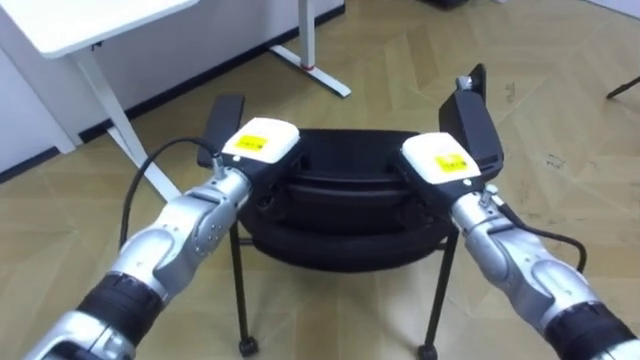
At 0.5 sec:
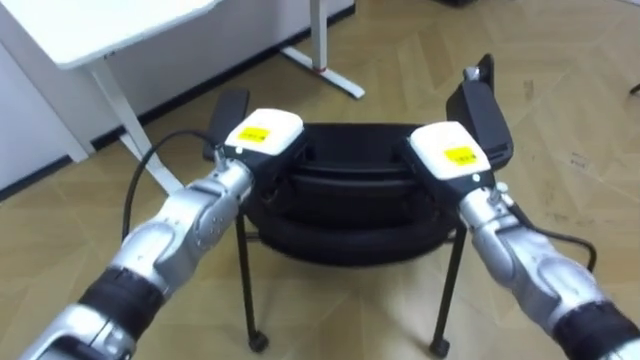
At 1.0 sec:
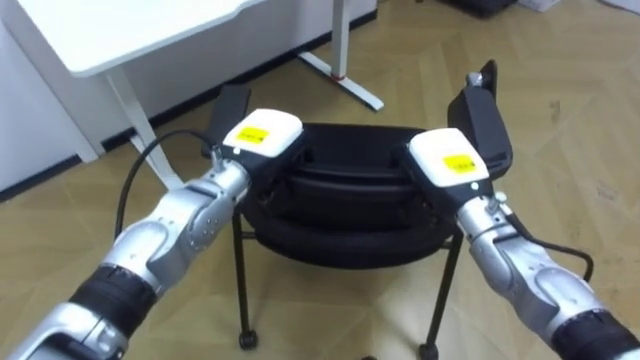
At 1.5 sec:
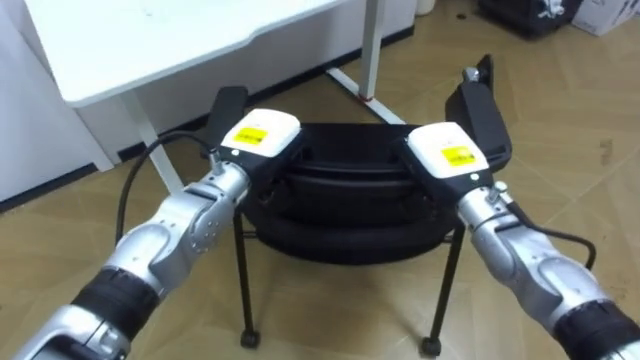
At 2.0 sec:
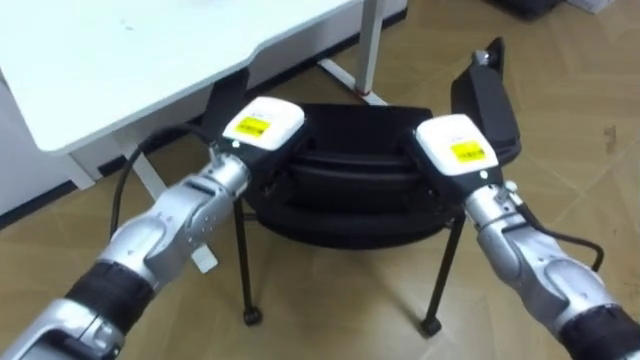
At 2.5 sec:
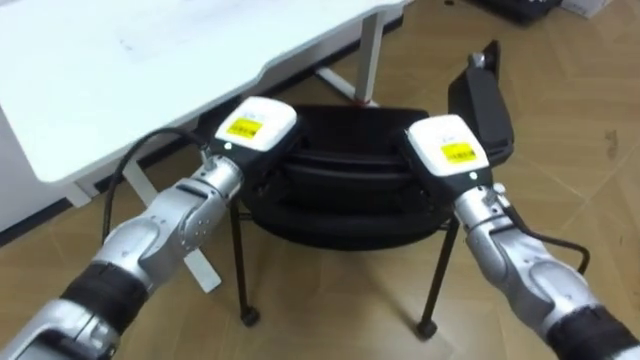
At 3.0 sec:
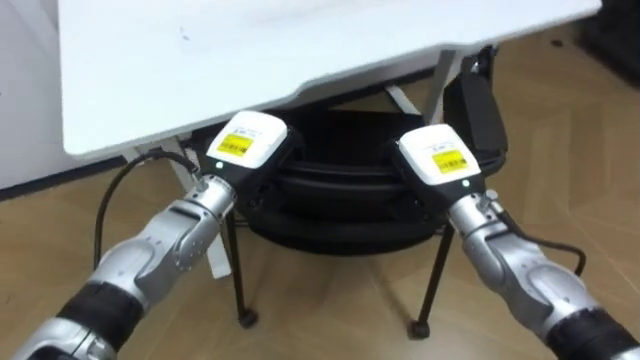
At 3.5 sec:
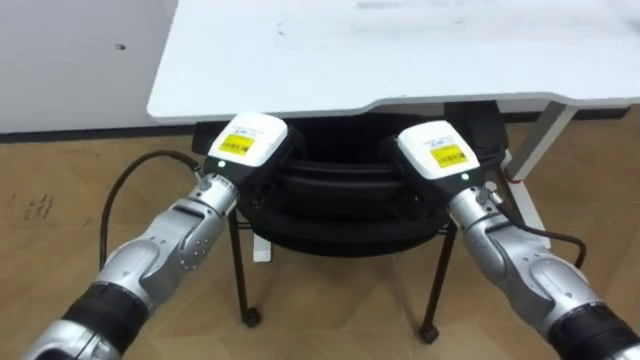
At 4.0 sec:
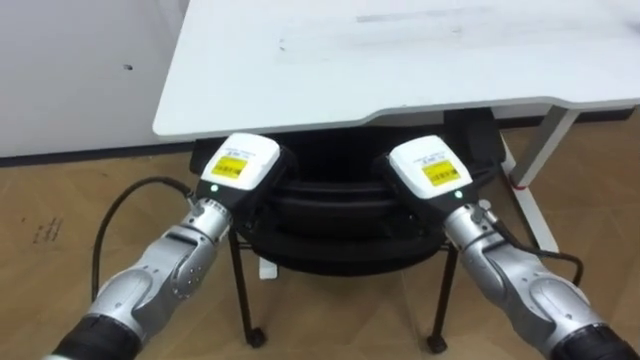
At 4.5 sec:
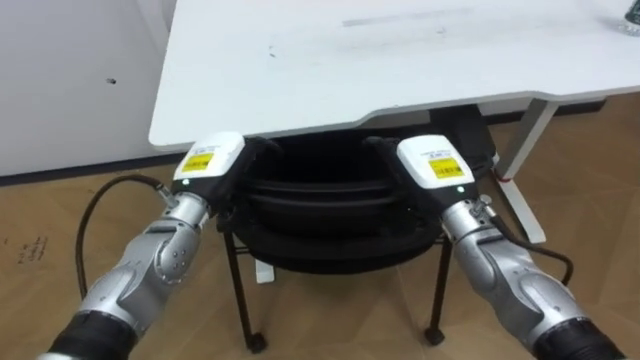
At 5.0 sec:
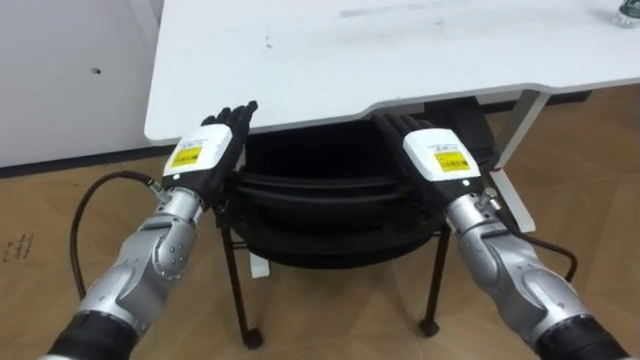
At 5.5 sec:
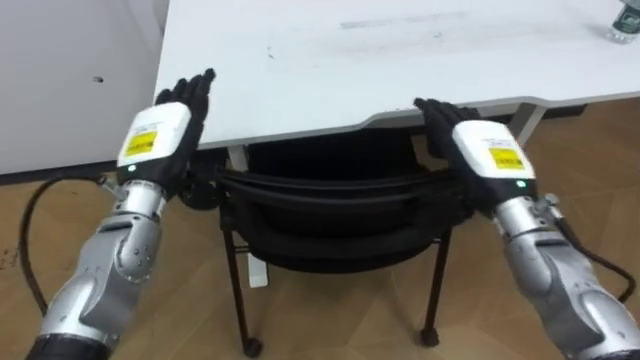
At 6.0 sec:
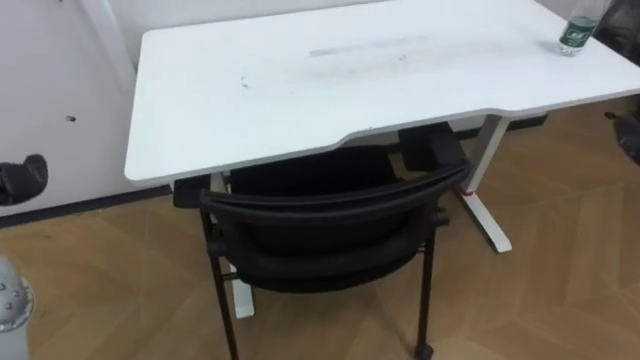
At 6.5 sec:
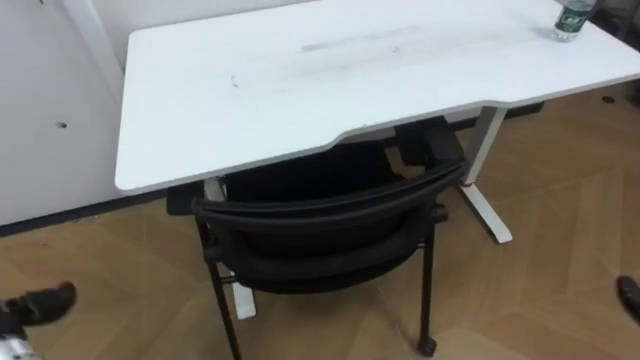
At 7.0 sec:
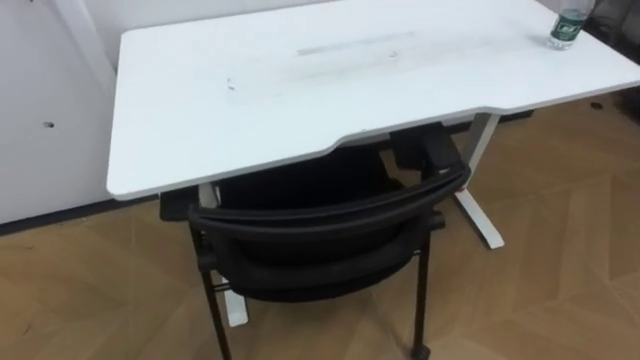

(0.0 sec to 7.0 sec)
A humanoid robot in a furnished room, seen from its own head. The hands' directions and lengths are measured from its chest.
Task of the whole recording: Push the chair under the table.
2.0 sec - 3.5 sec: The robot turns to its left by some 35 degrees.
3.5 sec - 5.0 sec: The right hand opens up, while the left hand is displaced to the left by approximately 5 cm, and opens.

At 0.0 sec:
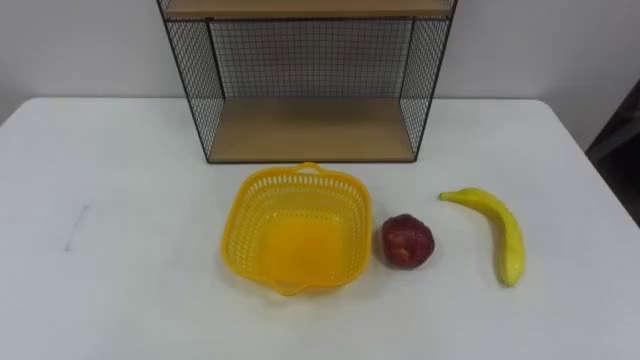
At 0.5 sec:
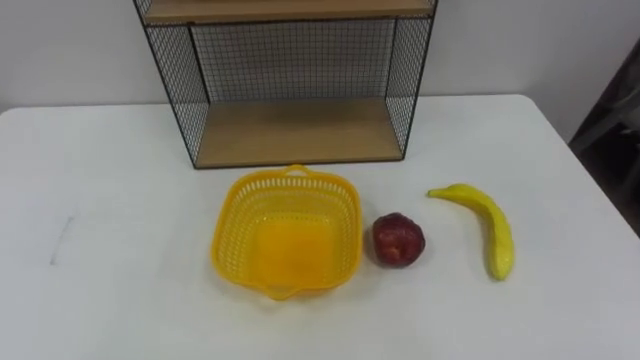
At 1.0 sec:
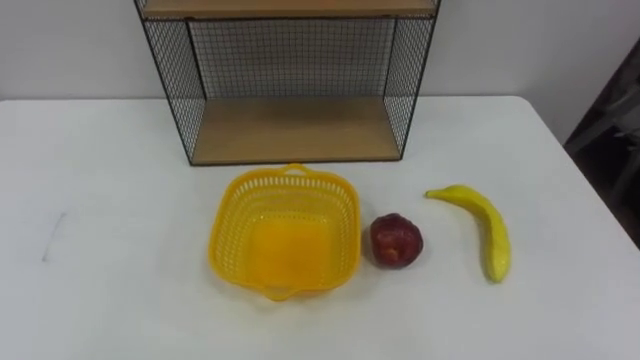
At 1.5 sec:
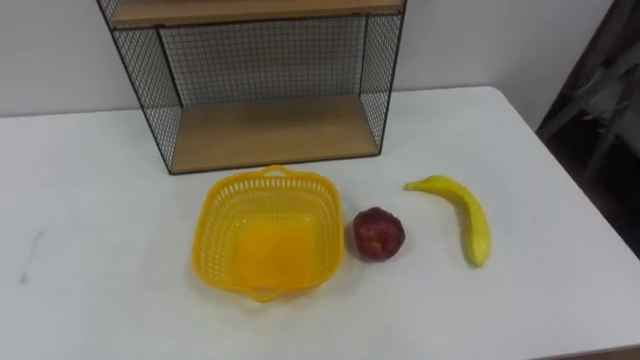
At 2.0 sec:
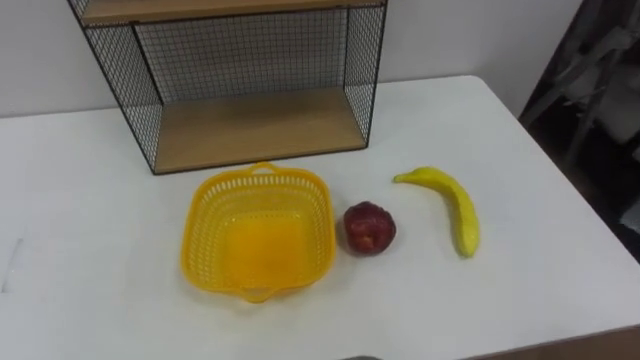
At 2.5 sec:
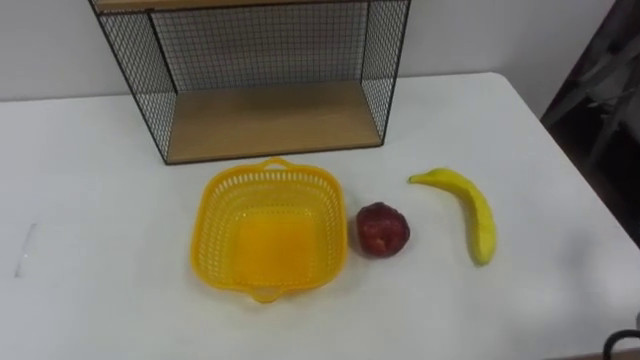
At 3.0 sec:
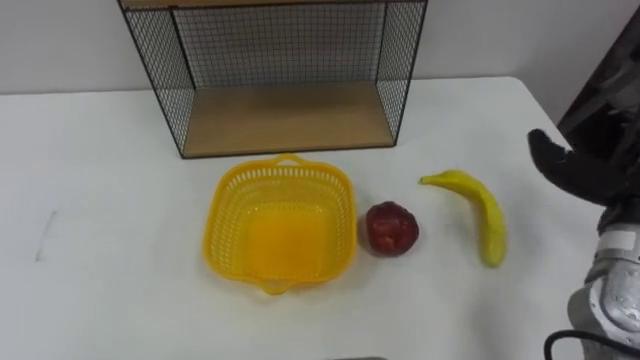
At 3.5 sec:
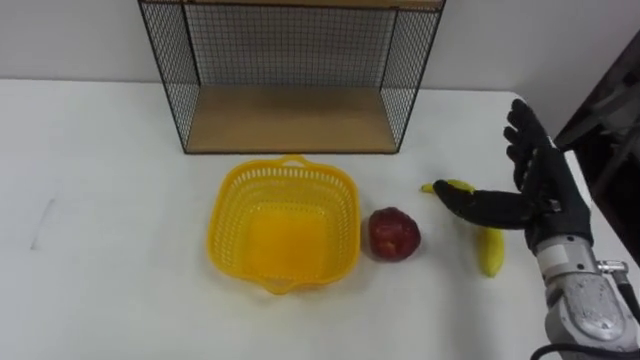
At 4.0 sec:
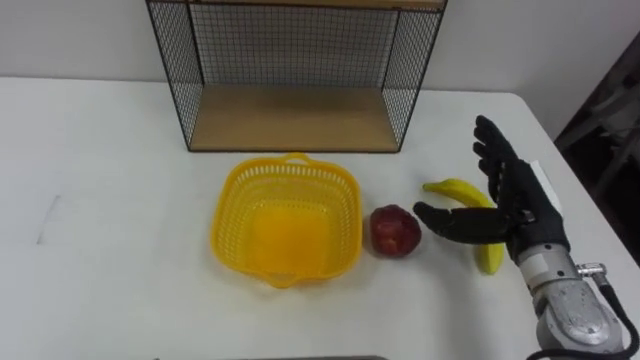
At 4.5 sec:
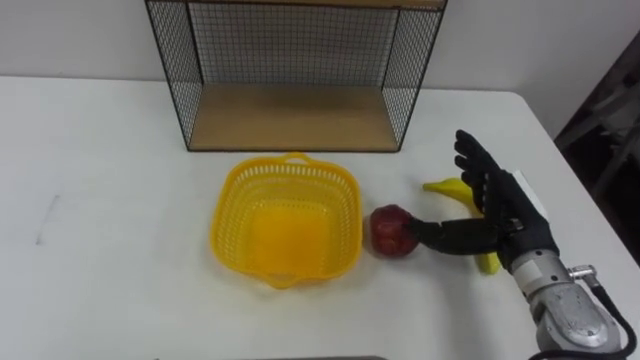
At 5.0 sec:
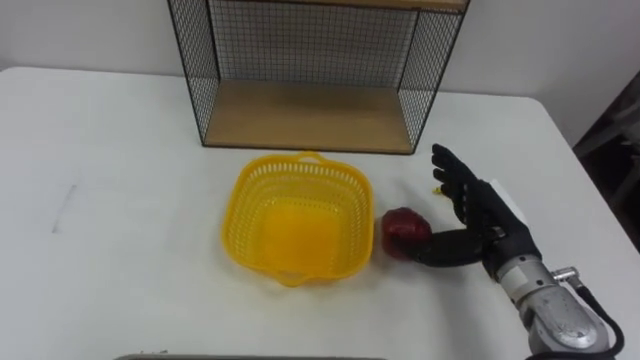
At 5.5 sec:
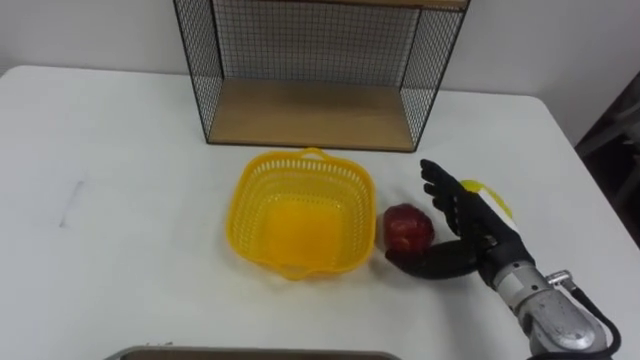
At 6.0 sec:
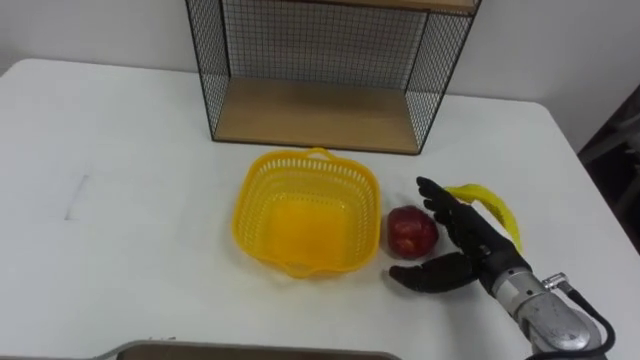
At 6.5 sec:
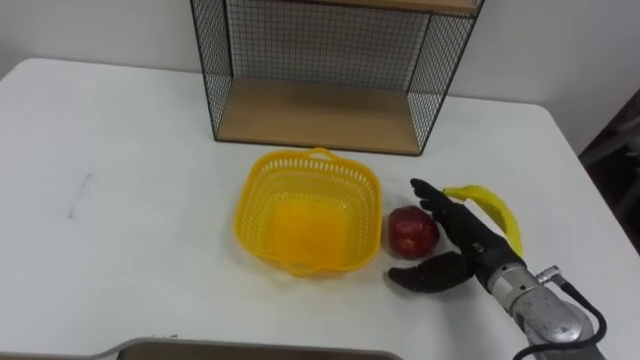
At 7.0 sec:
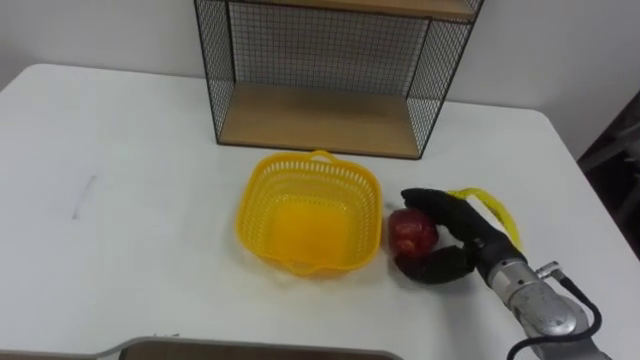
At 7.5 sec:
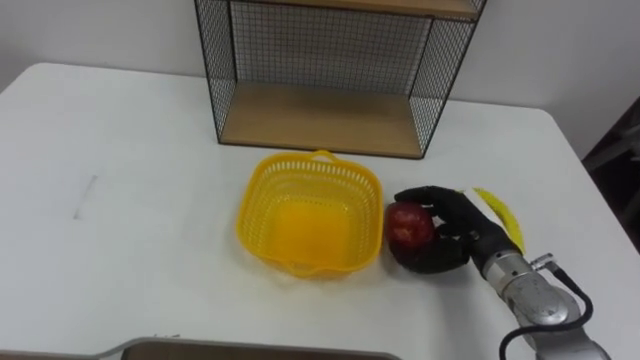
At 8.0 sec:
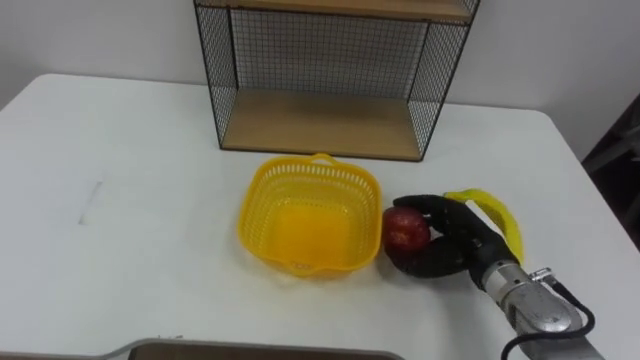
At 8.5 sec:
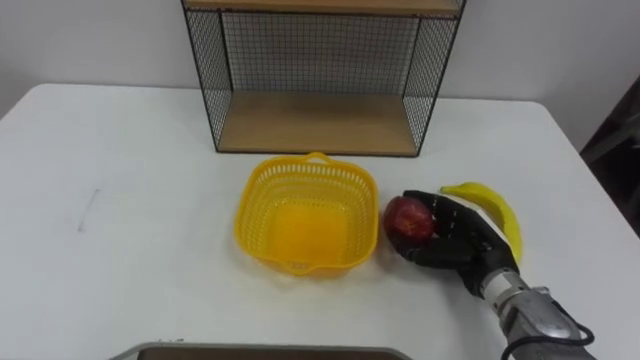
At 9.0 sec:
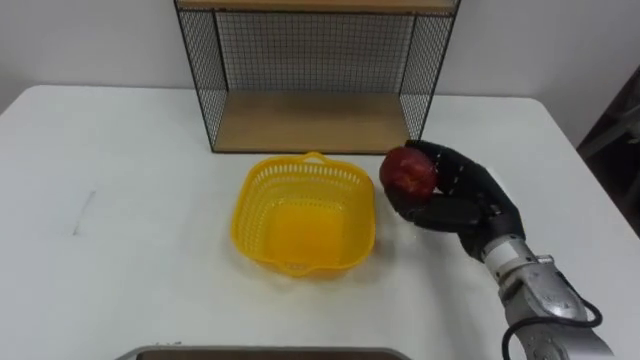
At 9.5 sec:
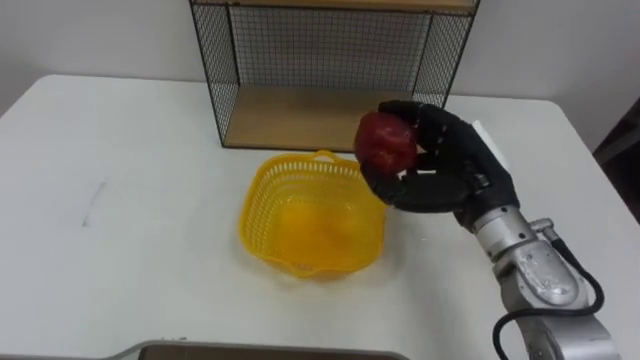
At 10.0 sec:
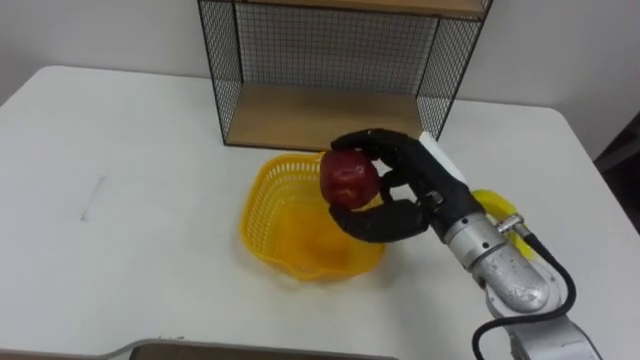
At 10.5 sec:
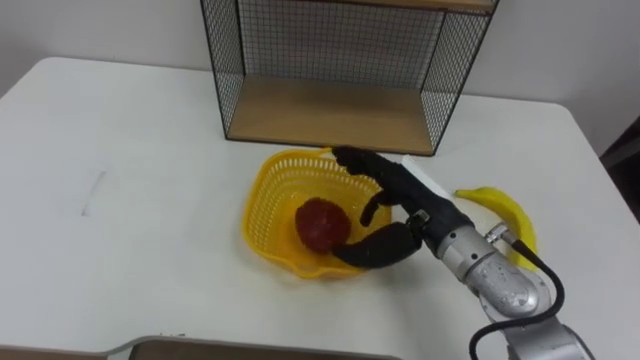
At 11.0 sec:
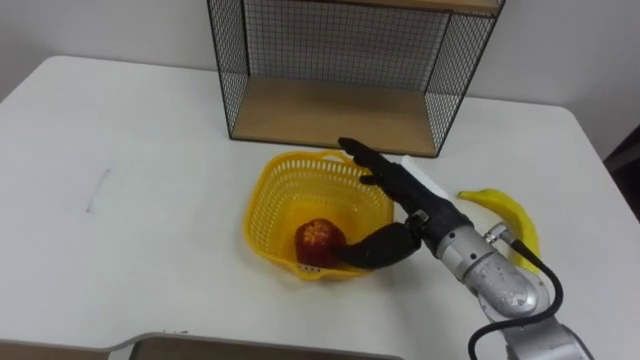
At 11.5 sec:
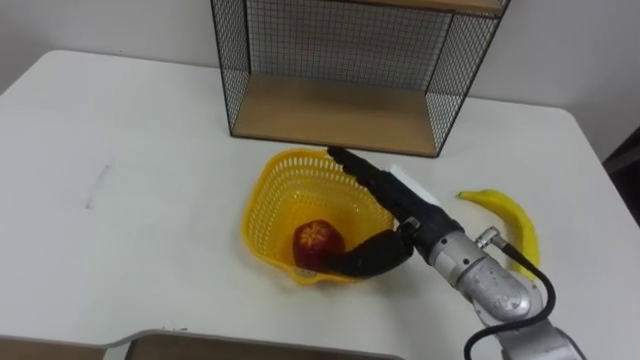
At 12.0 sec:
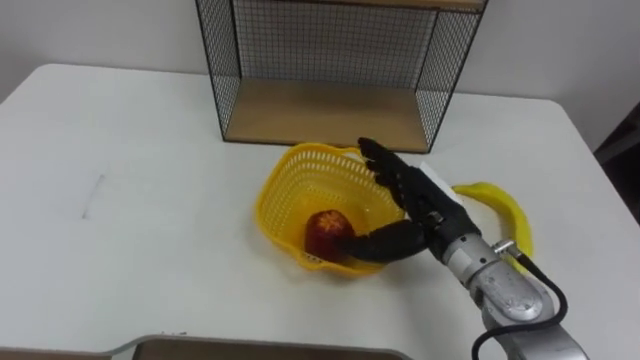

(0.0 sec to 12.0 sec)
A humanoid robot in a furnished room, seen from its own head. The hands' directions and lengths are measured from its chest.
Task of the whole recording: Put the fruit on the table into the basket, then place the basket on the shelf.
4.0 sec - 6.0 sec: The right hand is displaced downward by approximately 5 cm.
6.0 sec - 8.0 sec: The right hand closes.
8.0 sec - 10.0 sec: The right hand travels upward and to the left by about 15 cm.
10.0 sec - 12.0 sec: The right hand opens.

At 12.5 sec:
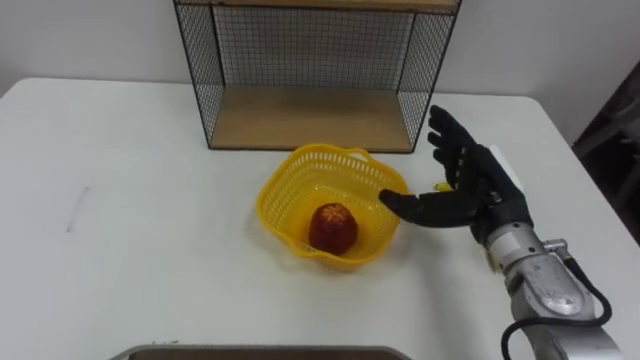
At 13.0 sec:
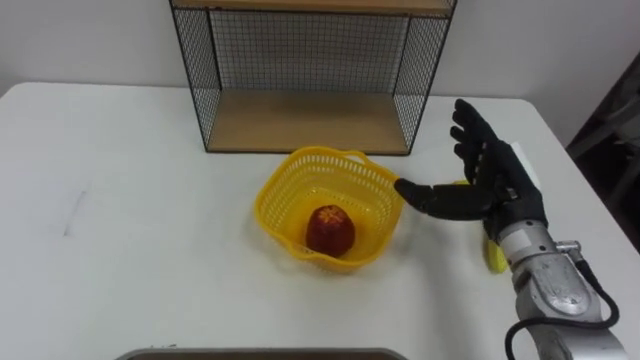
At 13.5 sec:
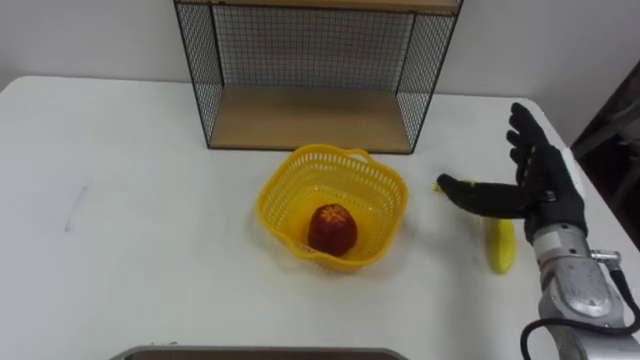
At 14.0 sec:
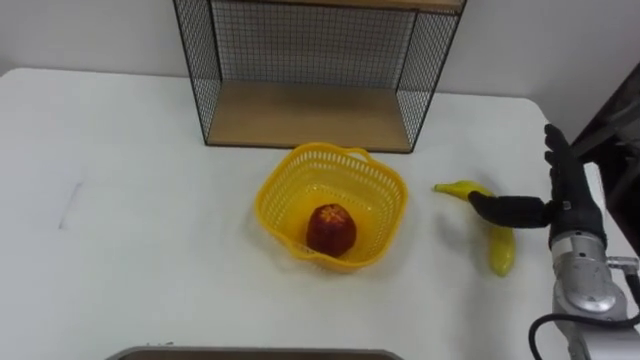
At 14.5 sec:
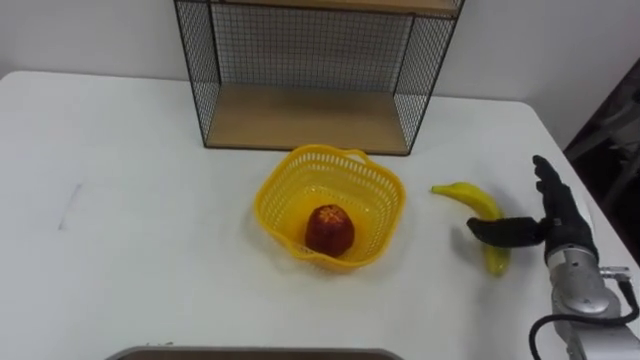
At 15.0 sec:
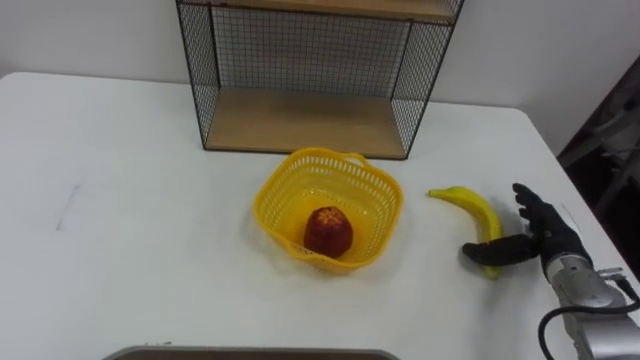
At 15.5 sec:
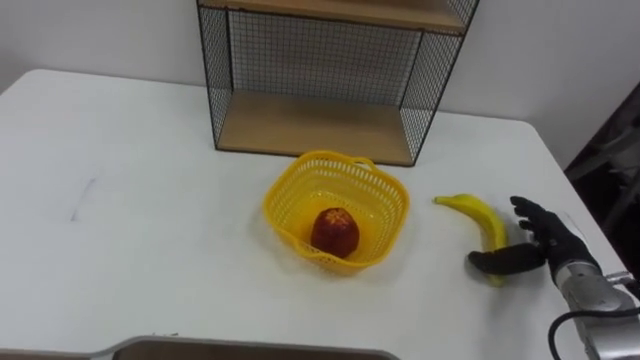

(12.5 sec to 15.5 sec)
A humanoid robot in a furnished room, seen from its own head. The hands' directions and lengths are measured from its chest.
Task of the whole recording: Put the fruit on the table into the basket, then place the basket on the shelf.
12.5 sec - 14.0 sec: The right hand heads to the right, covering approximately 10 cm.
14.0 sec - 15.5 sec: The right hand travels downward by approximately 10 cm.
